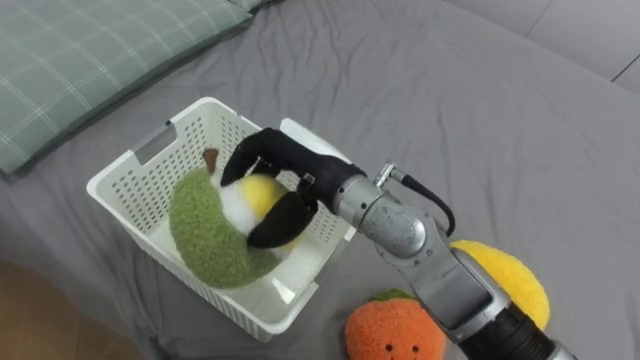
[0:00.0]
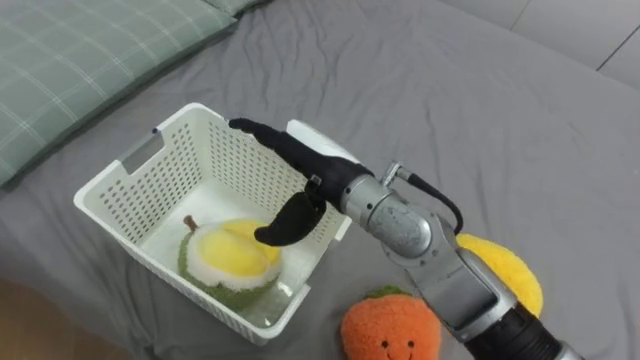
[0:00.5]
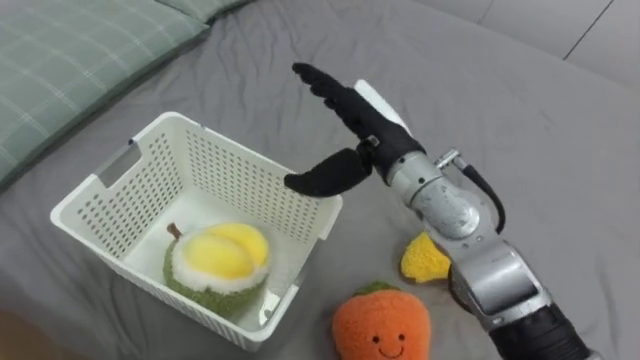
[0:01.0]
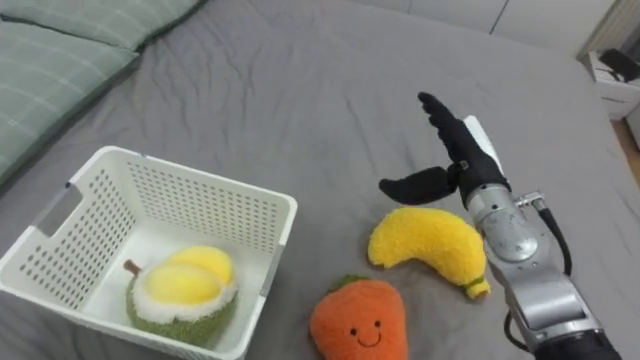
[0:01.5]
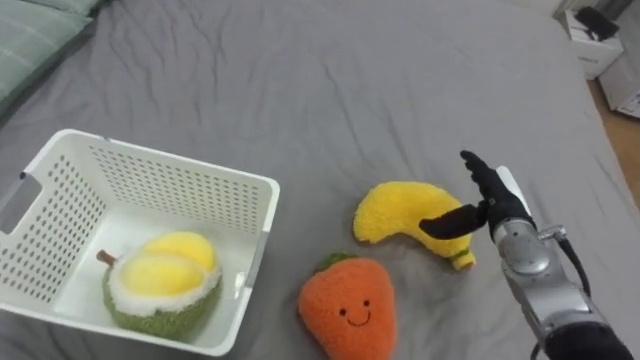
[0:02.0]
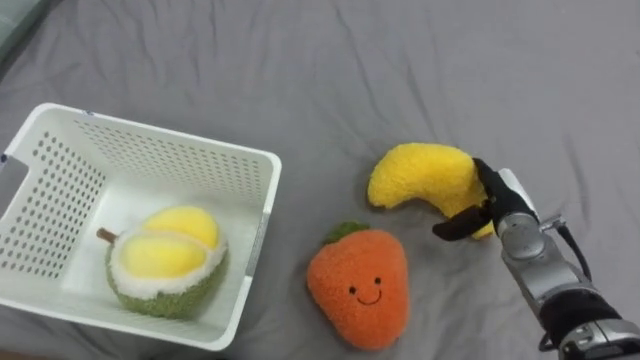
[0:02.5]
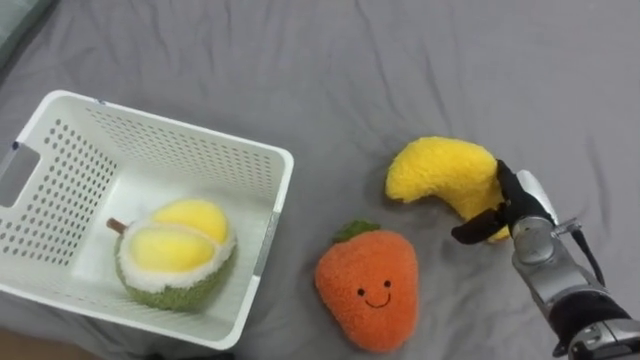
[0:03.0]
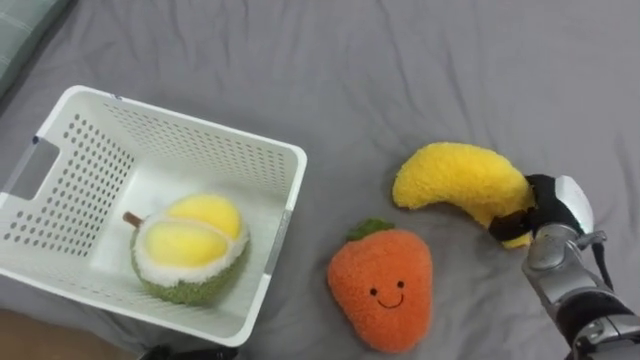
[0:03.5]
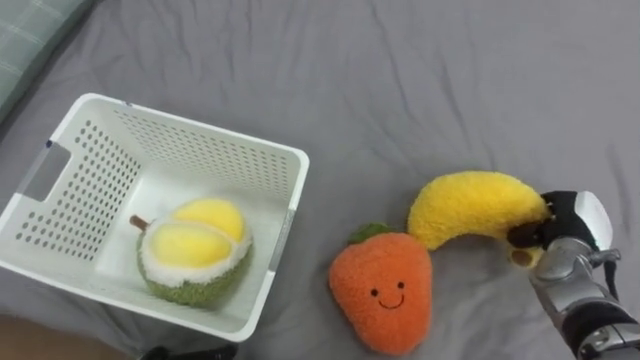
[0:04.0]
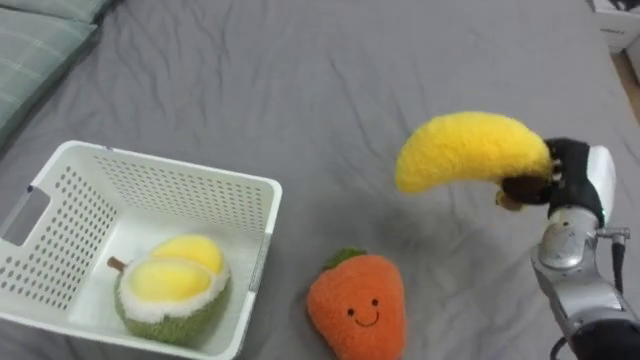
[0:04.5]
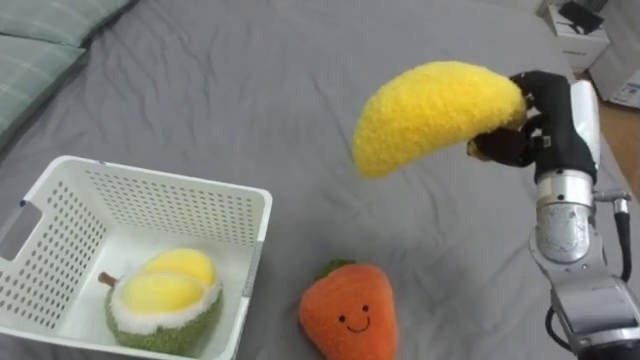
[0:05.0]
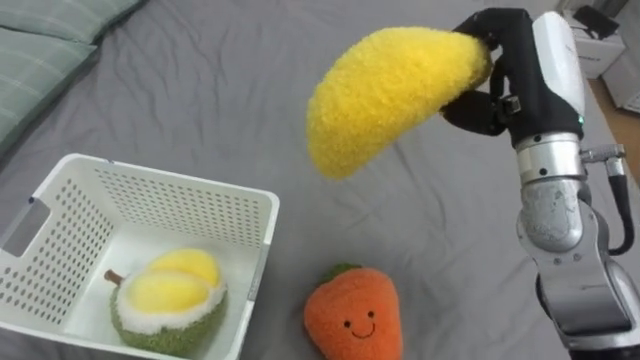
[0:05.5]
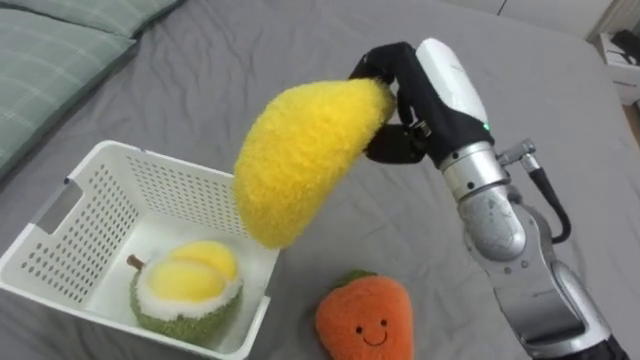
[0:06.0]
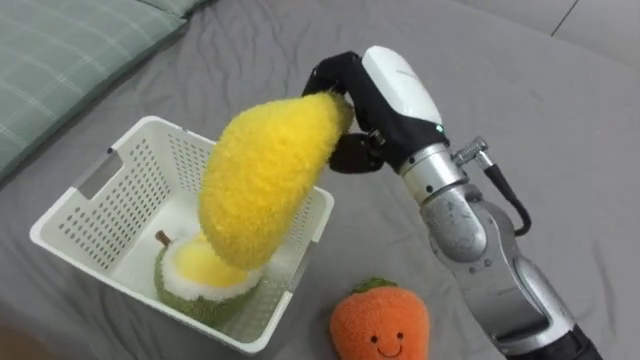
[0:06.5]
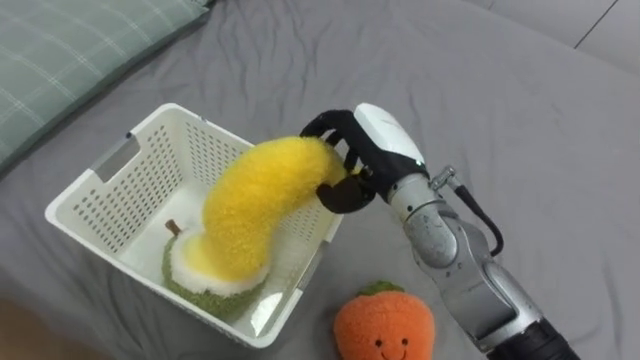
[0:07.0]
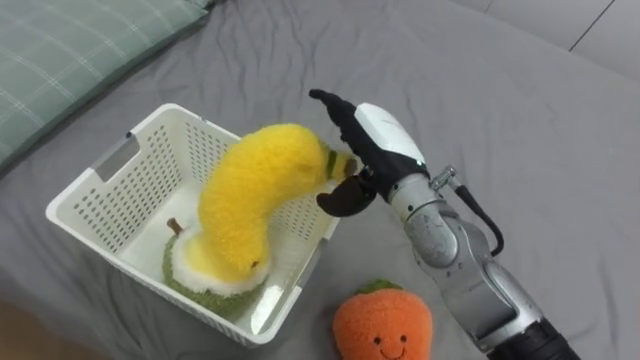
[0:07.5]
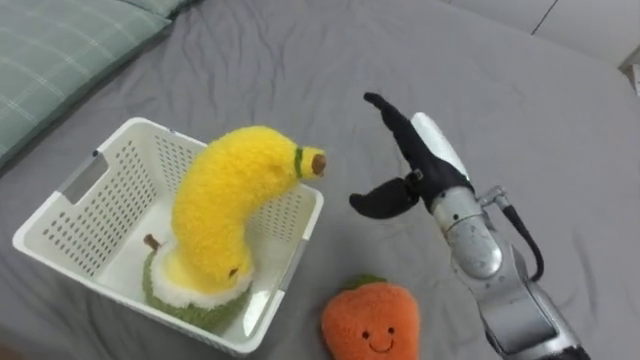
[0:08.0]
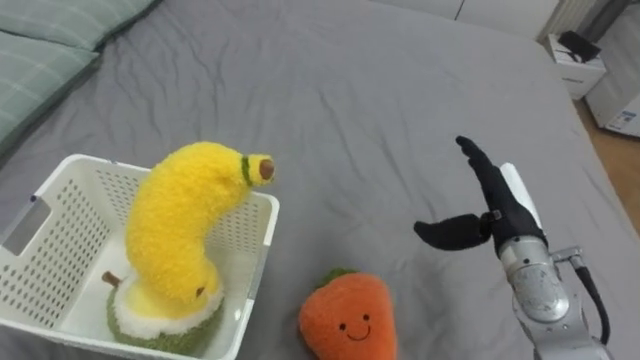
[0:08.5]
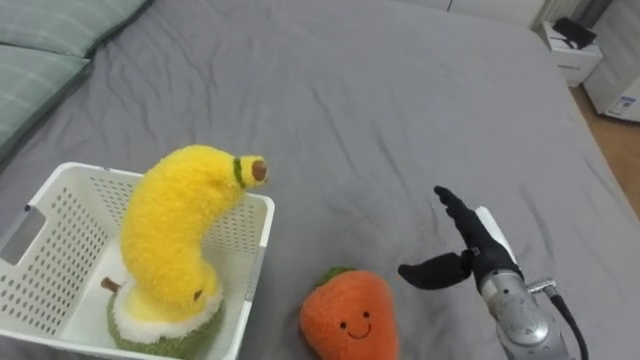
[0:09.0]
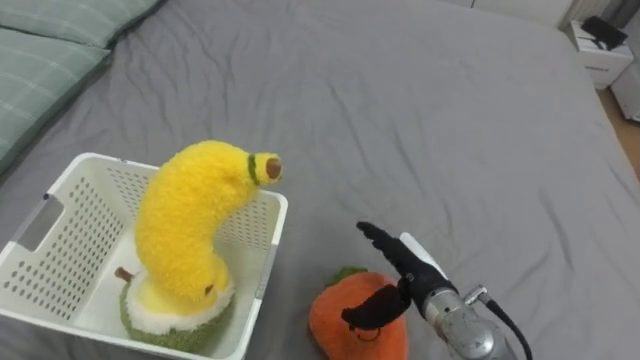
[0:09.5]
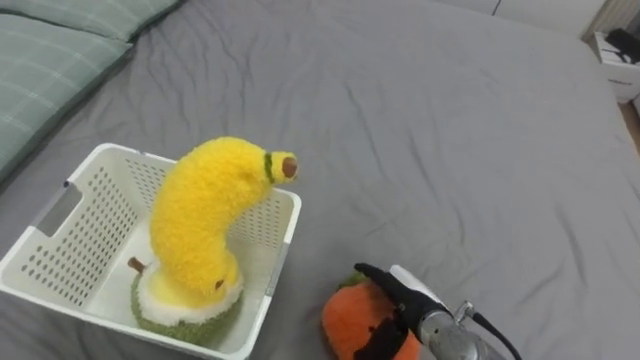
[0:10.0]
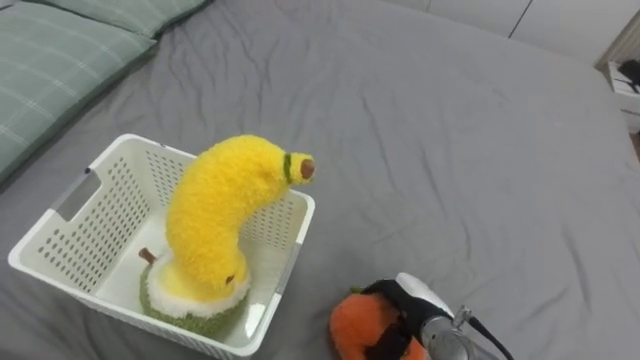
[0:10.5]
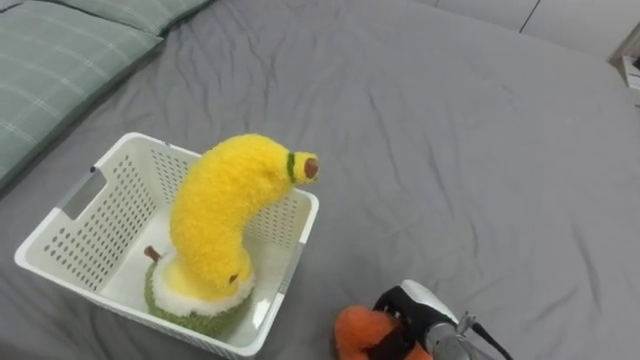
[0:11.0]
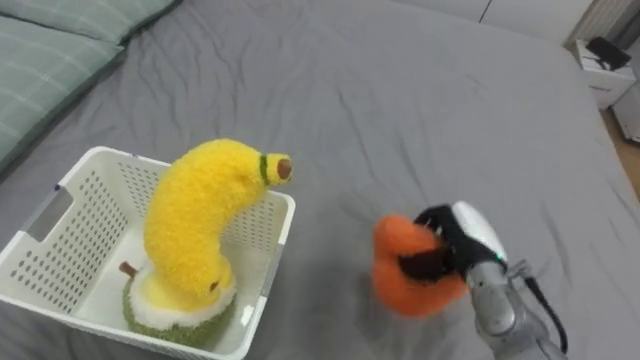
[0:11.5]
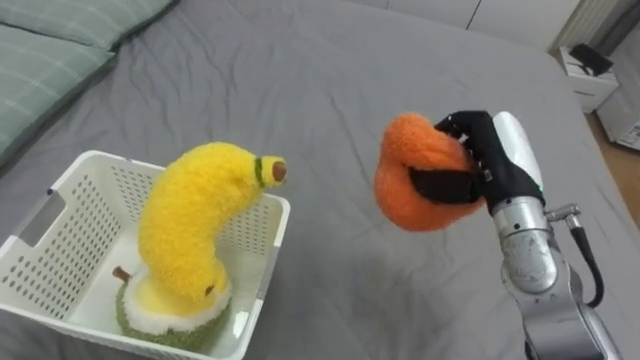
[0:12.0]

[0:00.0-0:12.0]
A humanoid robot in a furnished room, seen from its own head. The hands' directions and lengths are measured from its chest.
Task of the whole recording: Put the toys on the bed into the basket on the left.
0:00.0 to 0:02.0: The right hand moves to the right and downward, roughly 30 cm, and opens.
0:02.0 to 0:04.0: The right hand heads to the right, covering roughly 10 cm, and closes its fingers.
0:04.0 to 0:06.0: The right hand shifts about 30 cm upward and to the left.
0:06.0 to 0:08.0: The right hand travels downward by approximately 10 cm, and opens up.
0:08.0 to 0:10.0: The right hand is displaced downward and backward by about 20 cm.
0:10.0 to 0:12.0: The right hand heads upward, to the right and forward, covering approximately 20 cm, and closes.

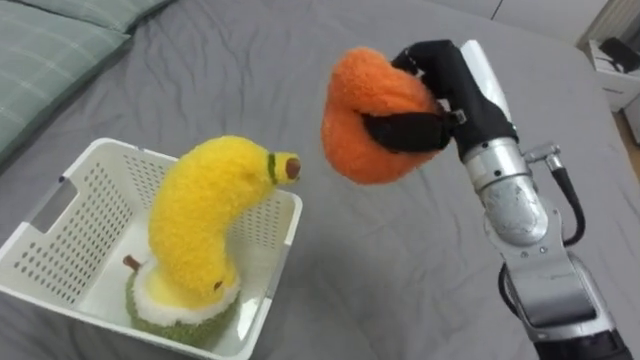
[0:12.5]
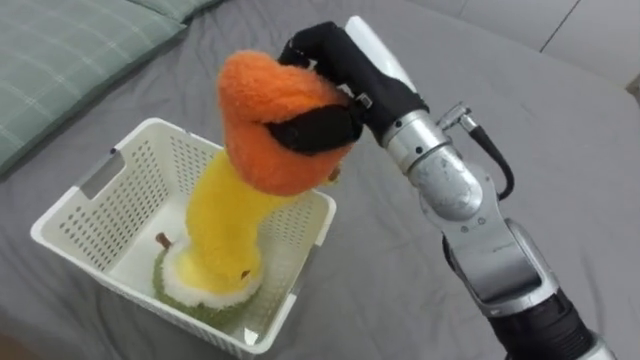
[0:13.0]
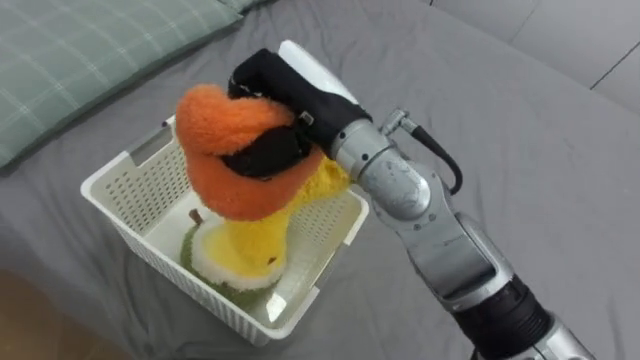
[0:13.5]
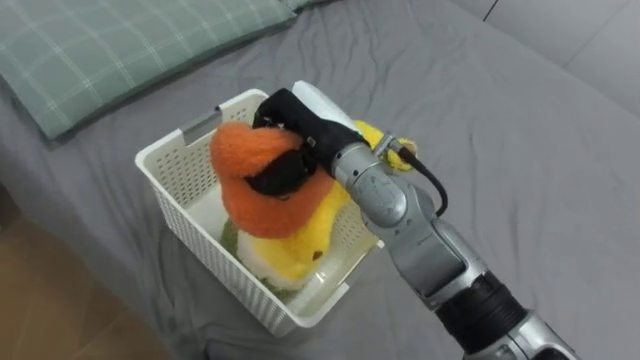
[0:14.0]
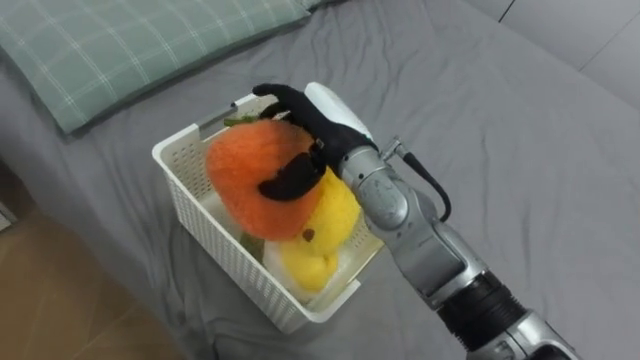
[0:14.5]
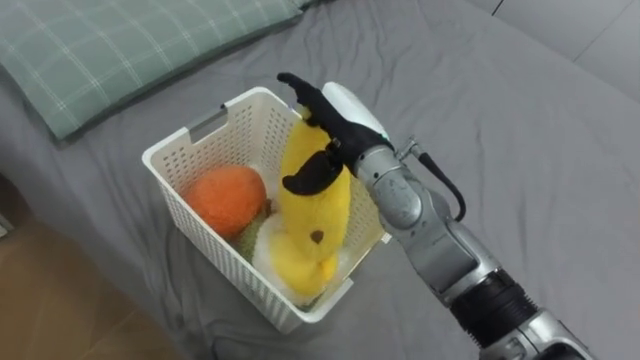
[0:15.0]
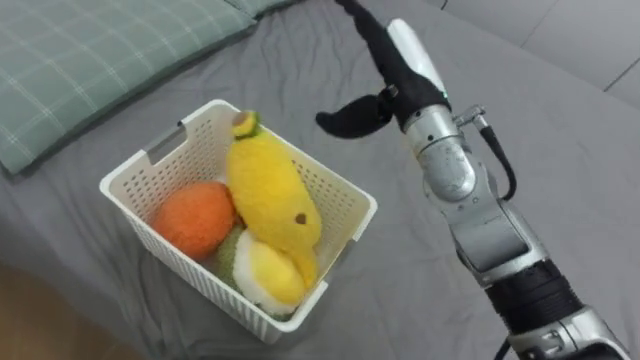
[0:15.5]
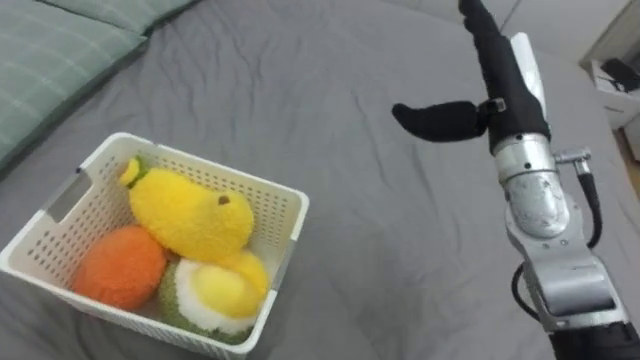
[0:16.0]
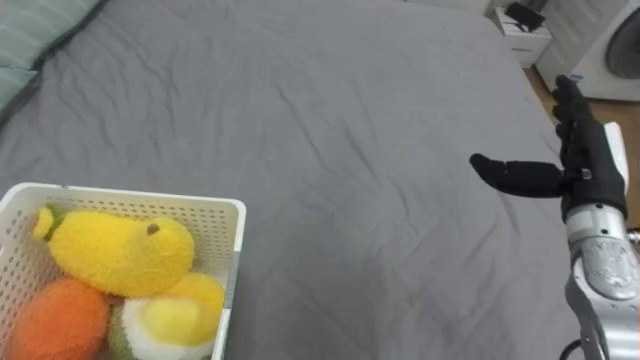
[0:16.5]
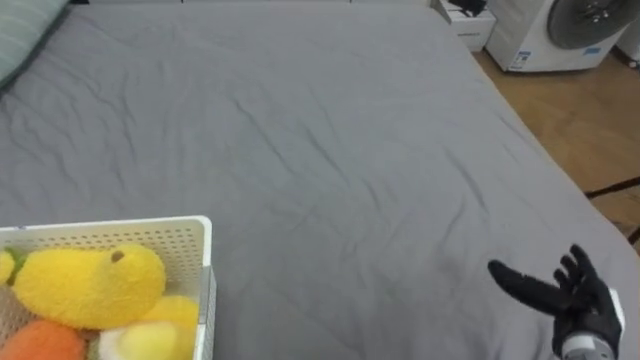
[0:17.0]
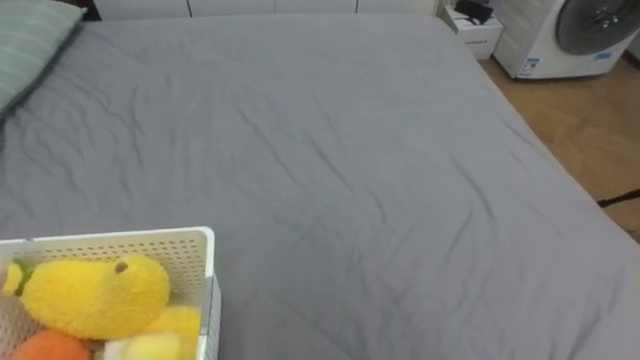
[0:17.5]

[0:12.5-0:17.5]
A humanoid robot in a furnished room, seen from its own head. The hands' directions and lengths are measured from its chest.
Task of the whole recording: Put the toys on the bed into the basket on the left.
0:12.5 to 0:15.0: The right hand heads to the left, covering approximately 15 cm, and opens up.

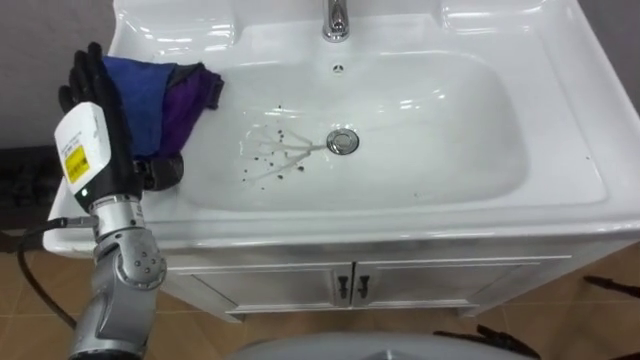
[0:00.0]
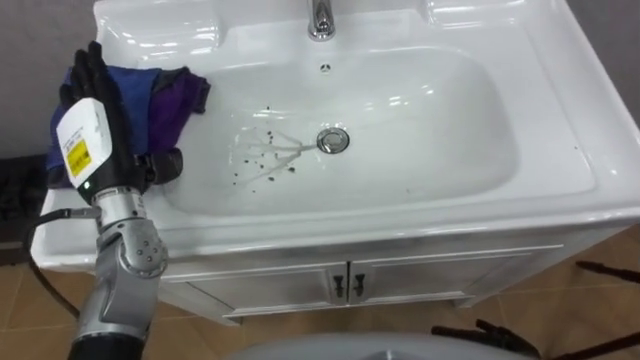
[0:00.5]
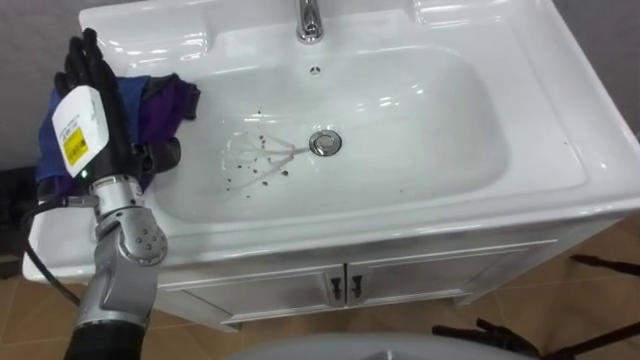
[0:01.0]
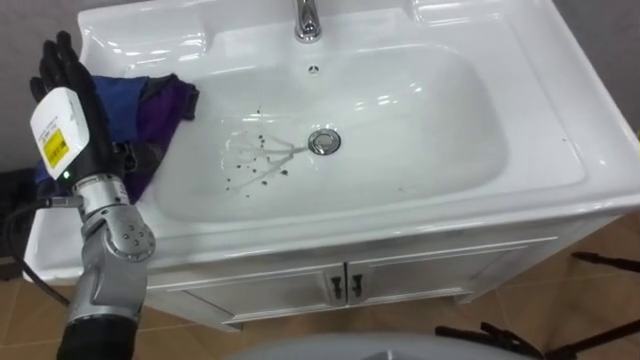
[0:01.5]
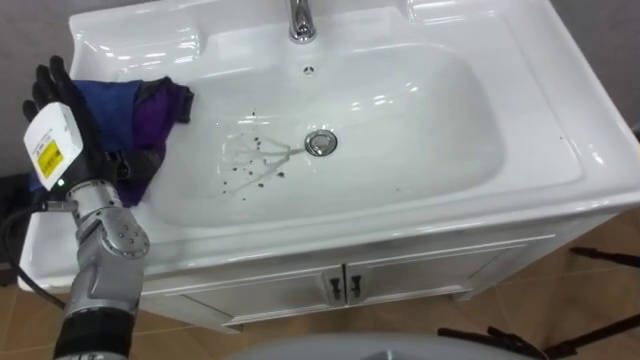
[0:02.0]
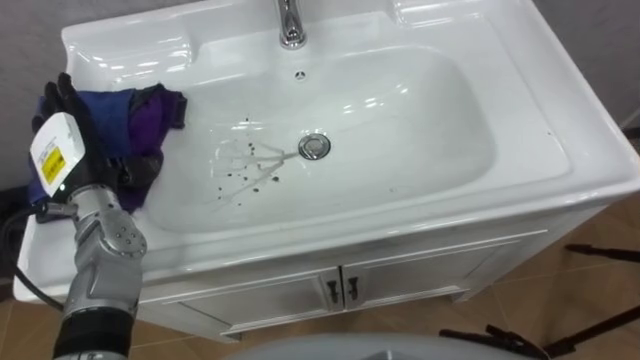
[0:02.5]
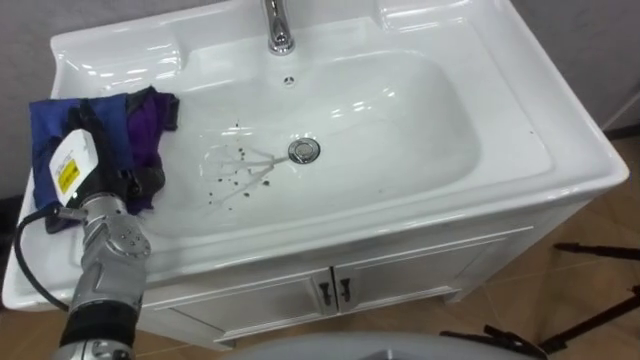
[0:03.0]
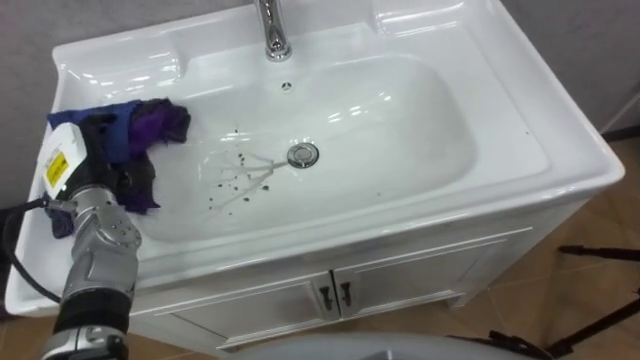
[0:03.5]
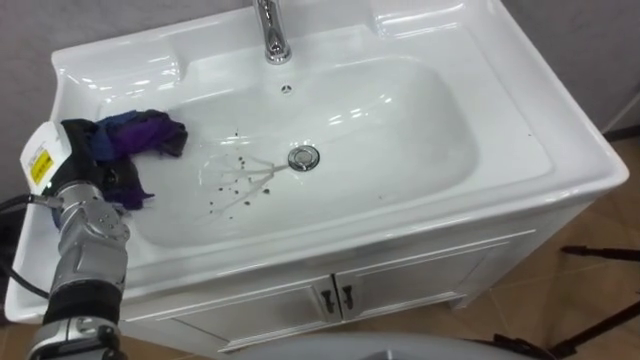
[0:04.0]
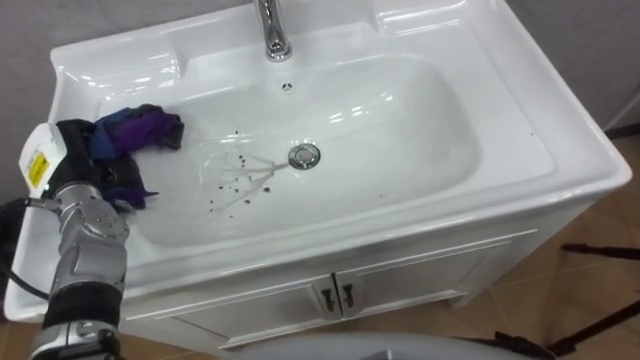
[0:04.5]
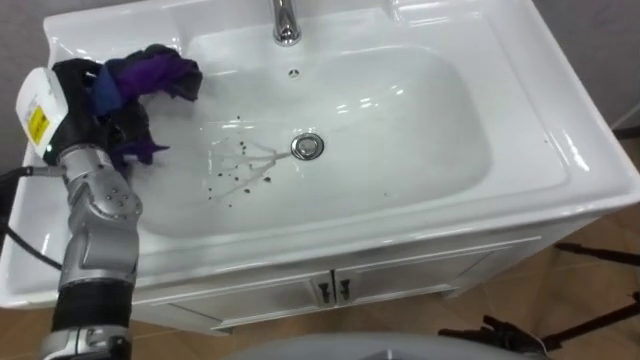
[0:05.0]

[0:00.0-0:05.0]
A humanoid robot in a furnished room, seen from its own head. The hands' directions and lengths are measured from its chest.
Task of the whole recording: Use the cloth on the right to wipe away the black stain in the sink.
0:00.0 to 0:02.5: The left hand goes approximately 5 cm to the left.
0:02.5 to 0:05.0: The left hand ends up about 5 cm from where it was, and closes up.
